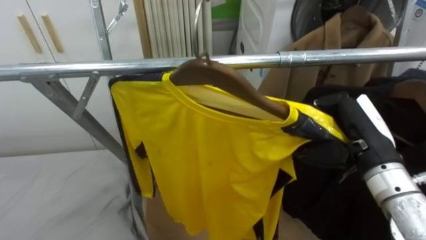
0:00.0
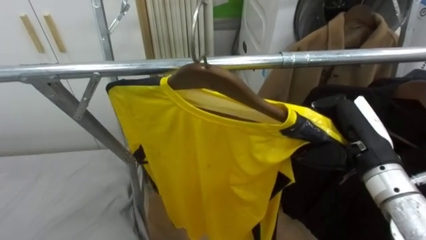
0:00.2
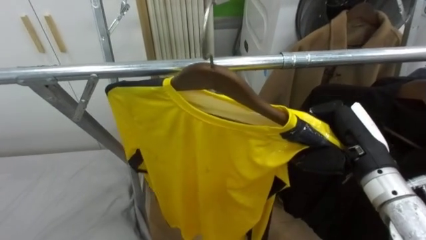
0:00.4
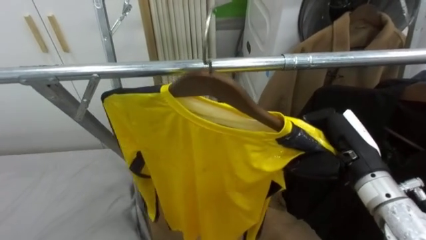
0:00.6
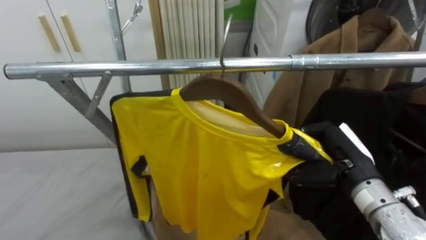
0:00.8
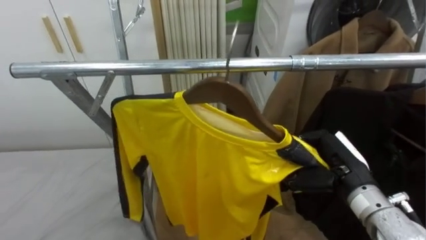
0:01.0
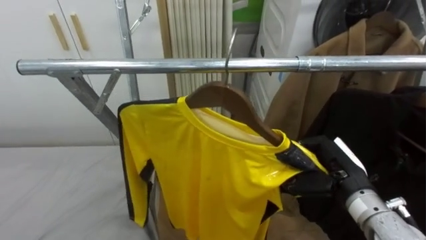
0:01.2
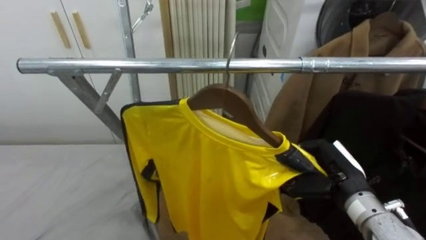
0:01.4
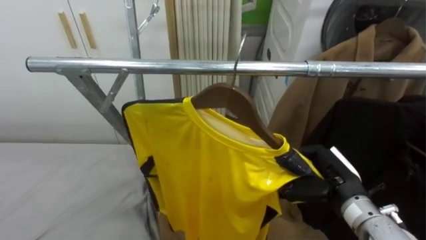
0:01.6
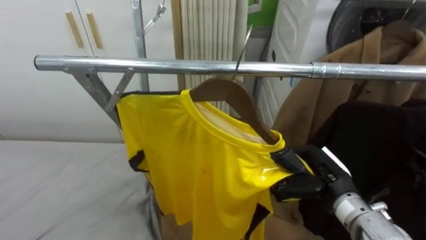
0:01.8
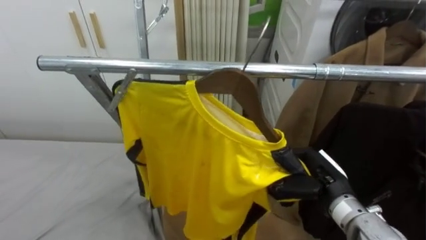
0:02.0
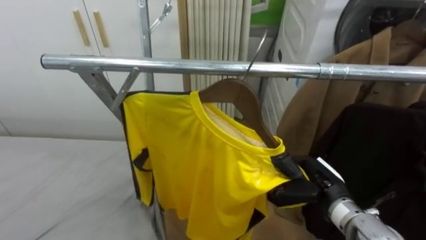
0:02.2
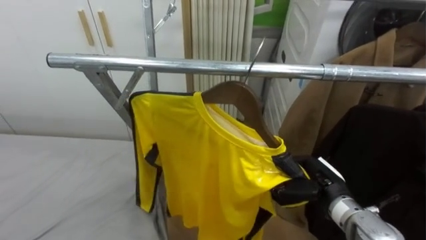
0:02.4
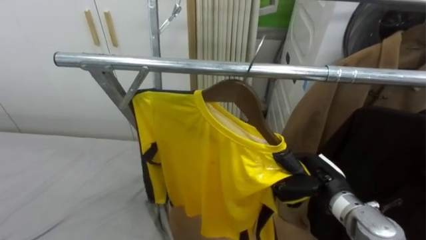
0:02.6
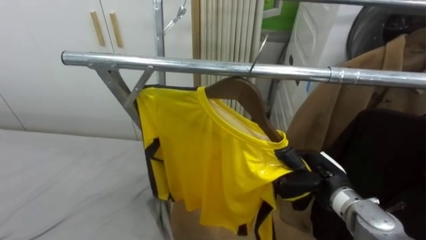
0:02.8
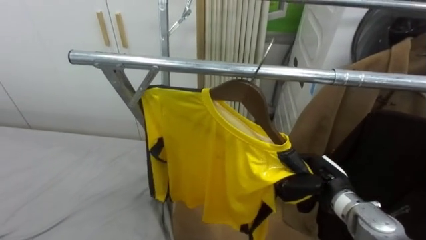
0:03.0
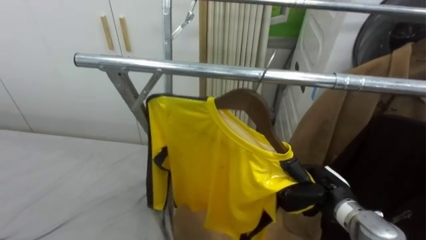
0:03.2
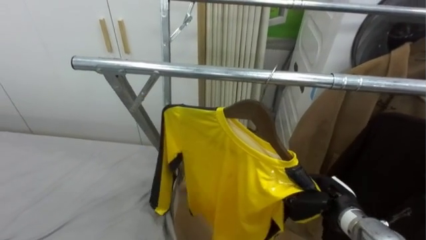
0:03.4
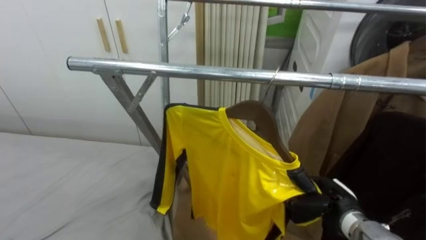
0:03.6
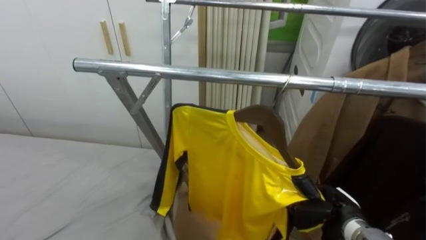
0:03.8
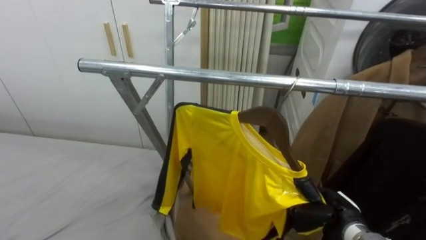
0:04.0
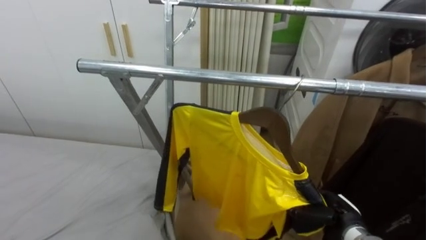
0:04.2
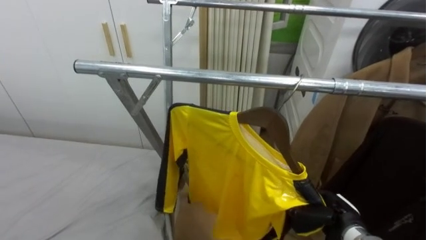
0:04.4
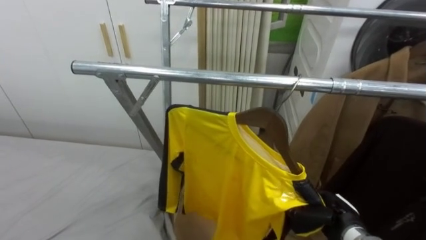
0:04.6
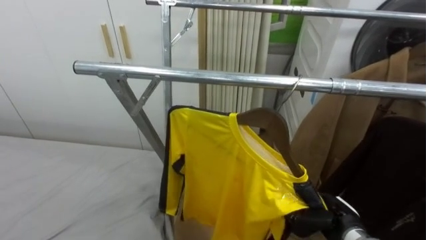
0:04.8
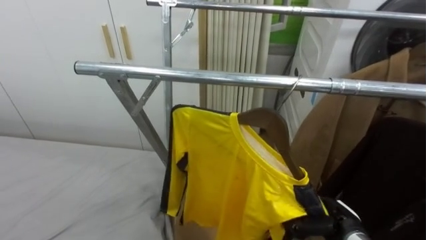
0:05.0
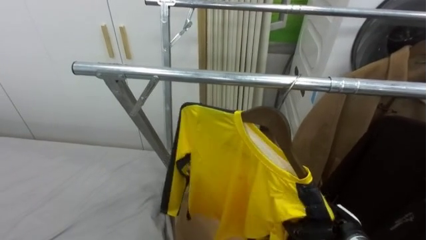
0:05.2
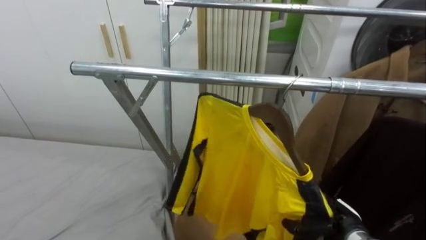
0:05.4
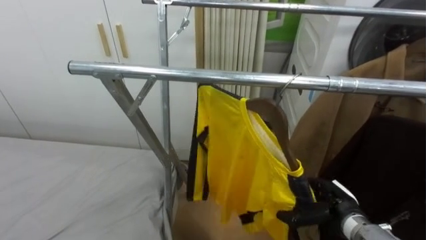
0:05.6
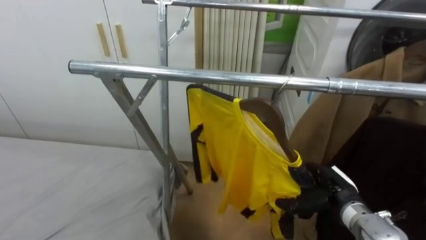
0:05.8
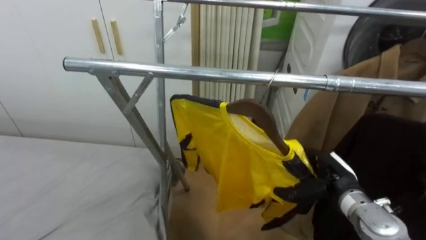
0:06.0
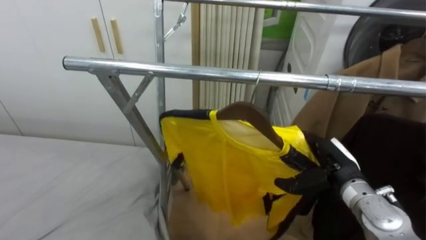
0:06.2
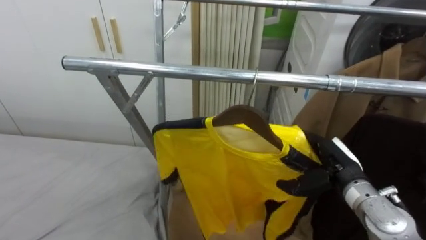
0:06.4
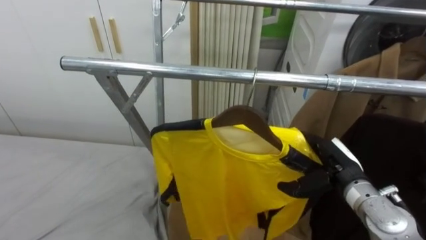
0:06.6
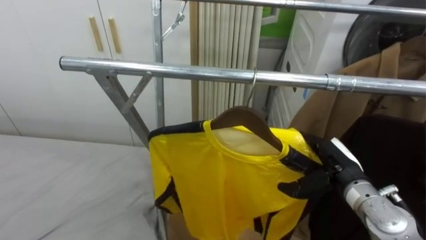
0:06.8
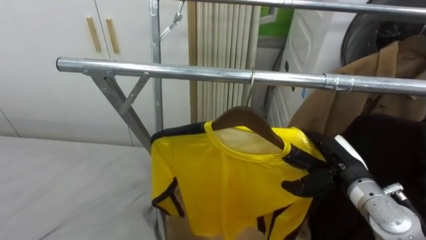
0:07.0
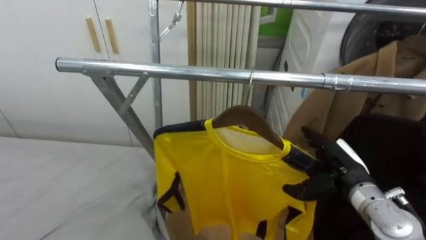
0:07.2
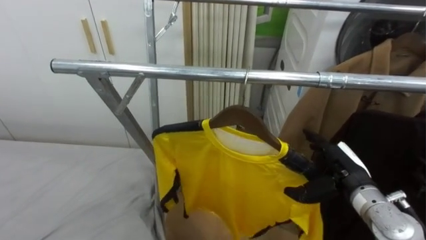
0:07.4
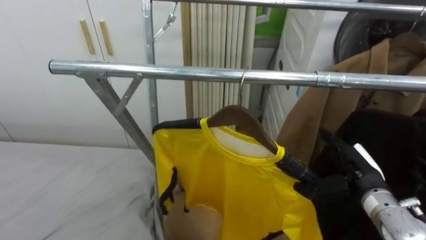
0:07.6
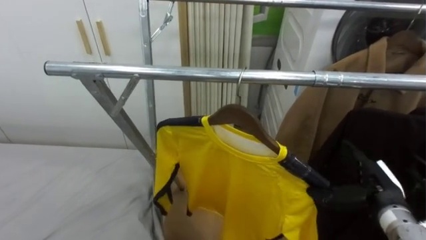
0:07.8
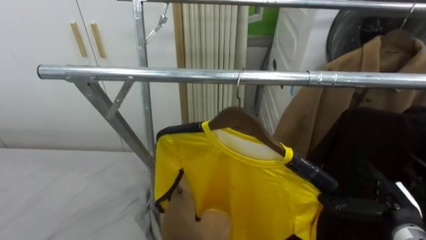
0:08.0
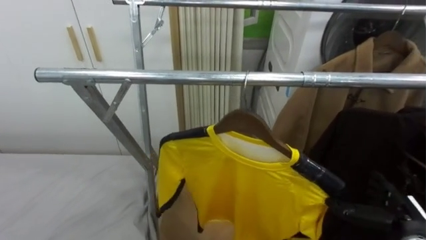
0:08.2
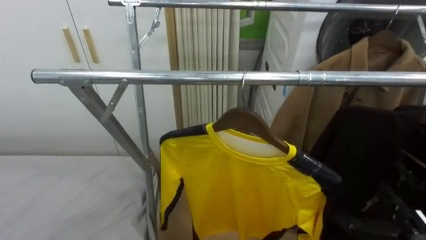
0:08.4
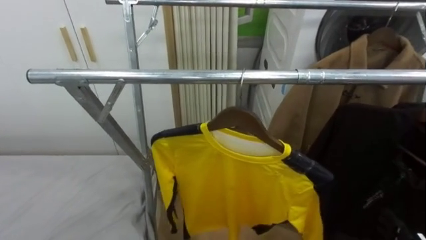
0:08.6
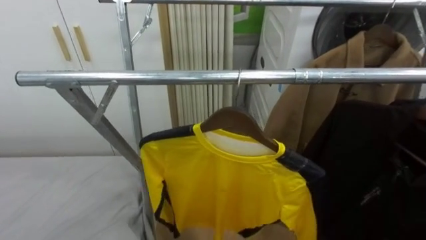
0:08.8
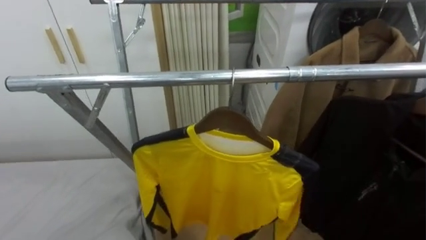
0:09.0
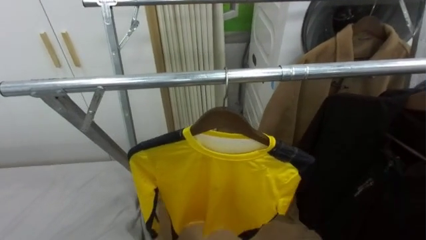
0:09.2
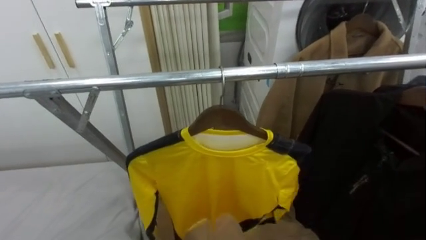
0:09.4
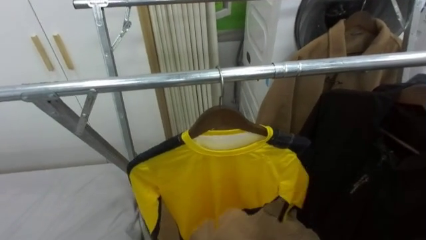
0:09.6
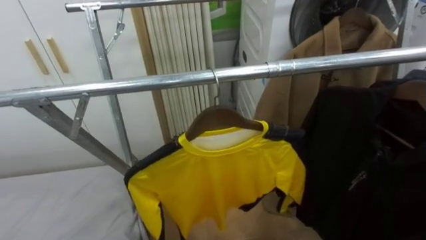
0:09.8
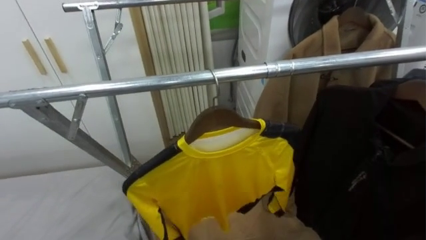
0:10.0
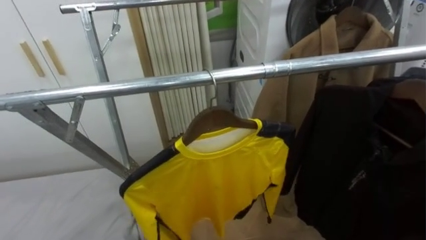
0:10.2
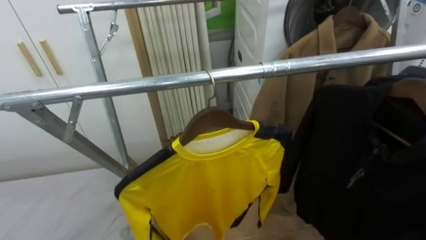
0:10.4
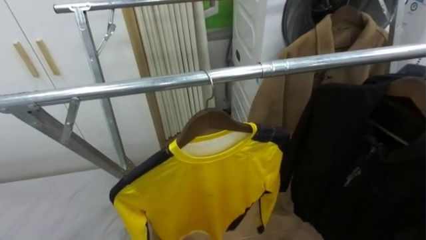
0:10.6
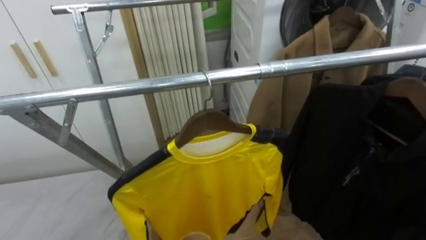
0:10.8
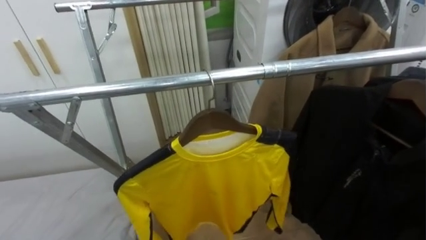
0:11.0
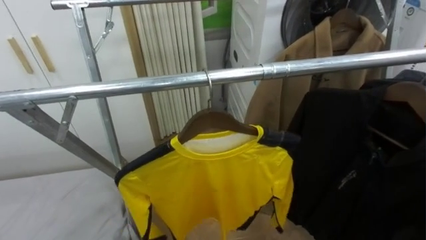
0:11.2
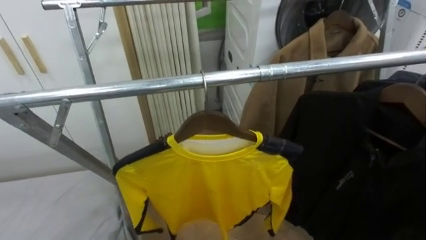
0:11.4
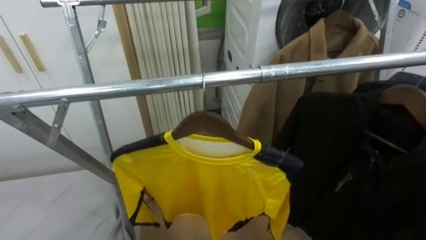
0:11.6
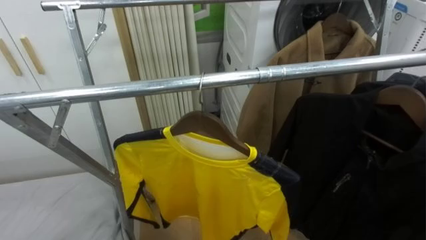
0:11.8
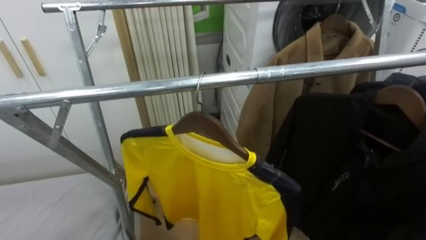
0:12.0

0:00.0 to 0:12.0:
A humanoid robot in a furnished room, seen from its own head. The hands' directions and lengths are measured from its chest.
Task of the whole recording: Pick up the yellow shirt on the bed and hang it on the clothes rack on the right.
0:00.0 to 0:01.6: The right hand goes roughly 10 cm downward.
0:01.6 to 0:03.0: The right hand travels downward by approximately 5 cm.
0:03.0 to 0:04.4: The right hand heads downward, covering about 5 cm.
0:04.4 to 0:06.0: The right hand shifts some 5 cm upward, and opens up.

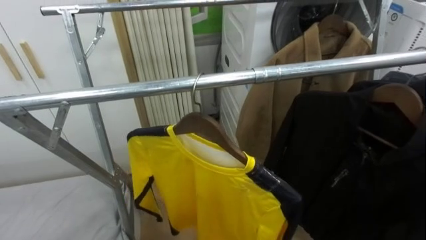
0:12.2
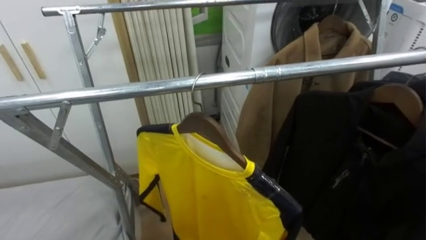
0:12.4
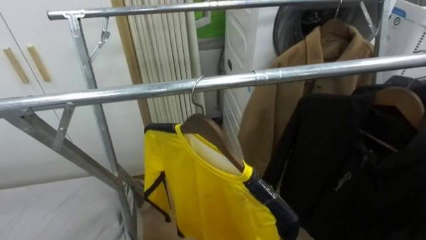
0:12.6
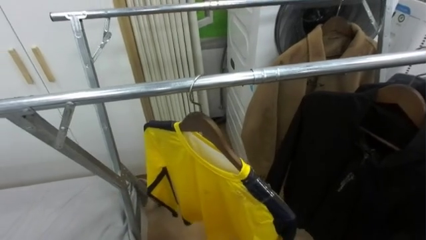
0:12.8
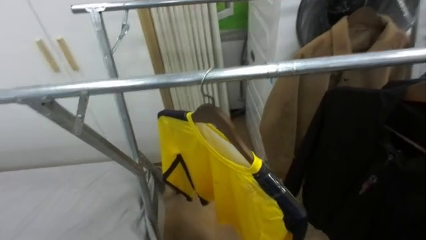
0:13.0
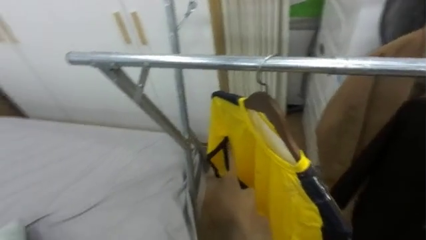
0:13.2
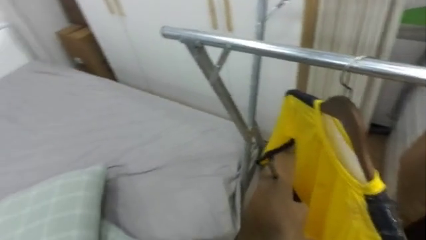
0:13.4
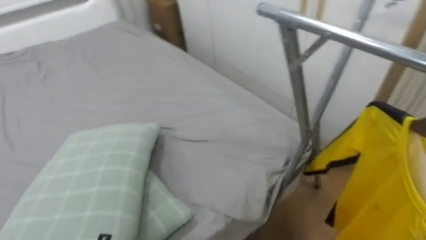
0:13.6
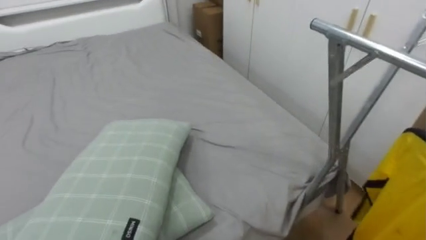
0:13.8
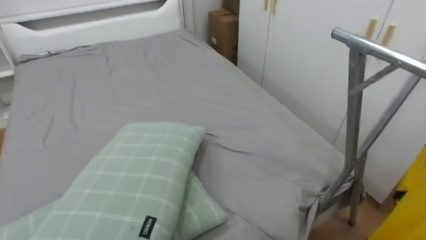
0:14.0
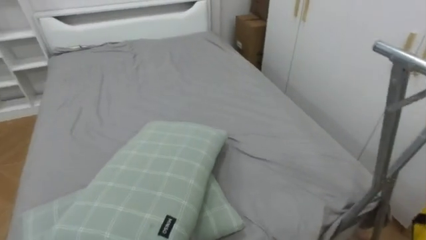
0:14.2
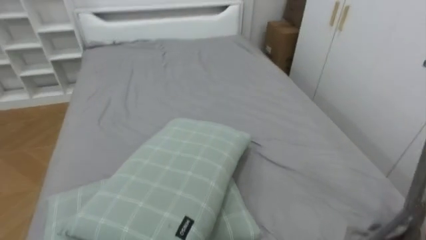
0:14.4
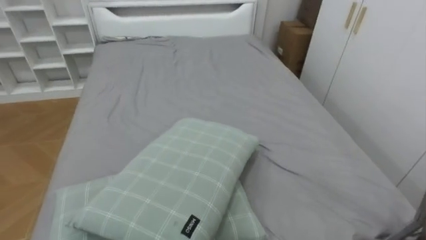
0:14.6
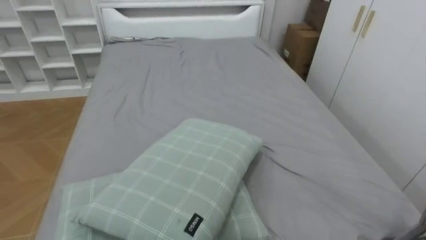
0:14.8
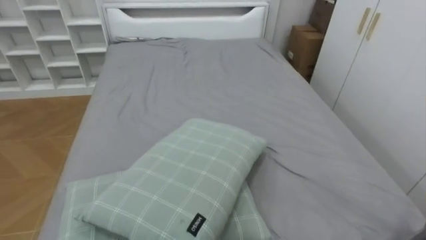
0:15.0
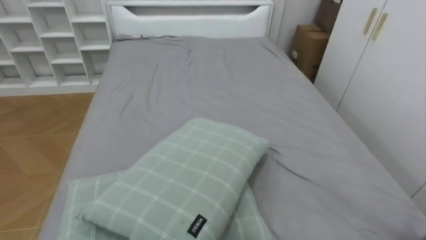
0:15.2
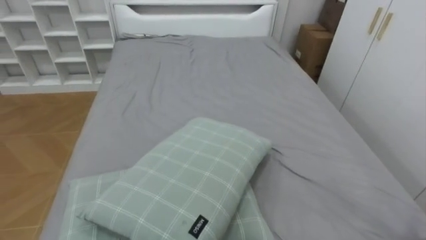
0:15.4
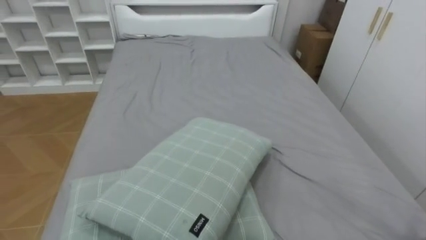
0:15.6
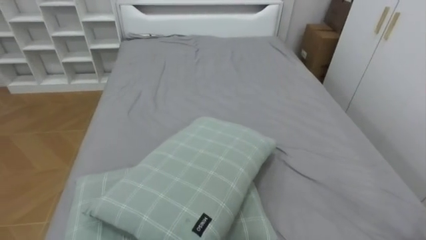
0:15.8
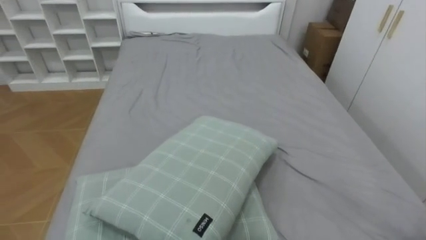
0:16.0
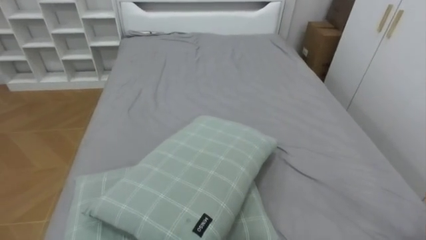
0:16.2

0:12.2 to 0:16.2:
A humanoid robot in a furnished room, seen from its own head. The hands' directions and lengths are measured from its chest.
Task of the whole recording: Pick up the yellow shirt on the bed and hang it on the clothes rack on the right.
0:12.2 to 0:13.6: The robot faces some 55 degrees further to its left.
0:13.6 to 0:14.8: The robot turns to its left by approximately 35 degrees.

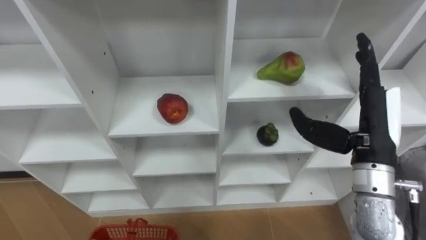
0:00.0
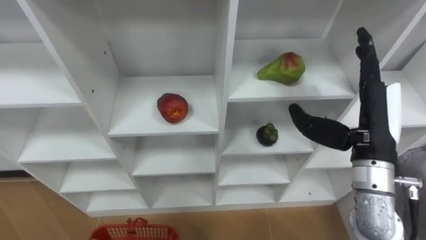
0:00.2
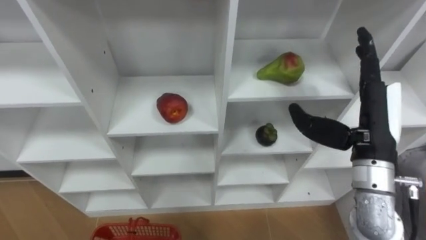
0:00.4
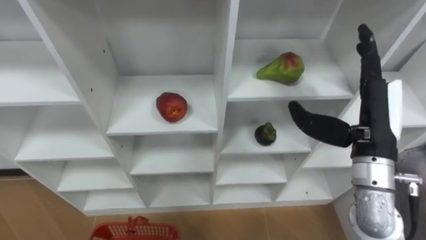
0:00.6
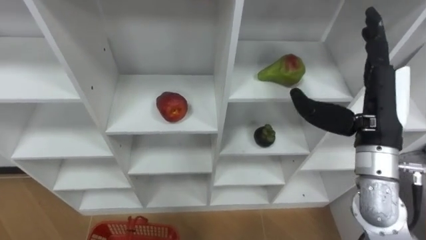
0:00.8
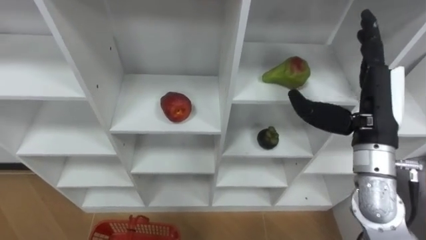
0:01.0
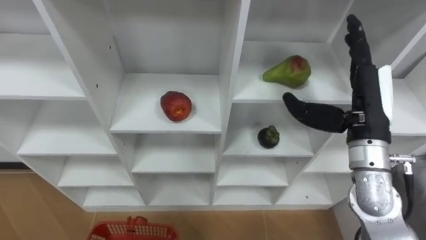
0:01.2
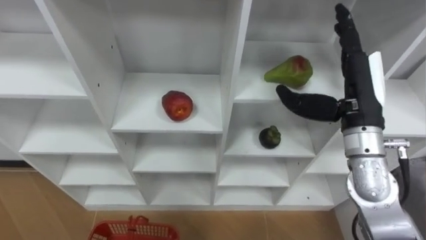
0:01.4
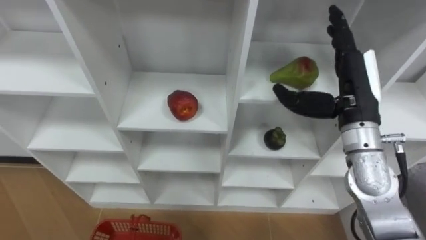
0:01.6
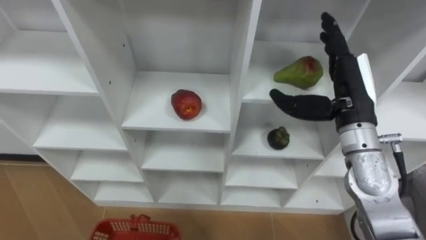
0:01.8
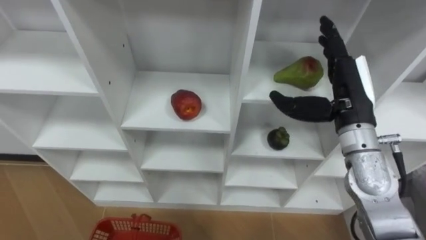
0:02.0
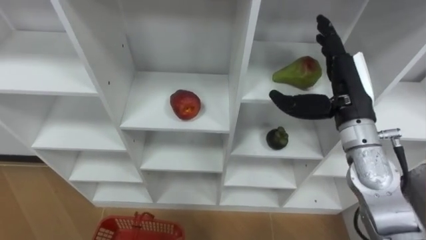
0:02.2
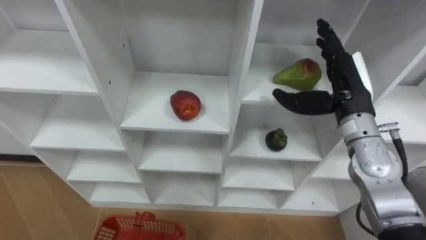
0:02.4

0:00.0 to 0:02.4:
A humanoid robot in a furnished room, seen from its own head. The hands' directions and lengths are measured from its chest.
Task of the whole recording: Hold the basket and collect the fruits from 3 different cells of the closet into it.
0:01.2 to 0:02.4: The right hand moves forward, about 5 cm.
